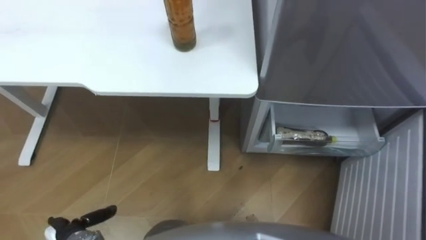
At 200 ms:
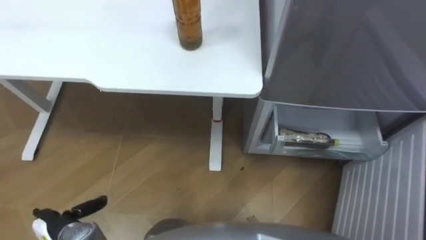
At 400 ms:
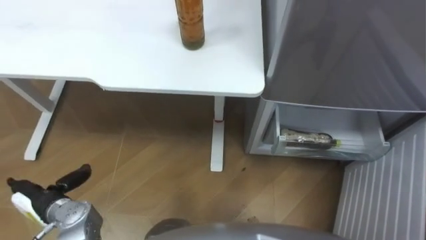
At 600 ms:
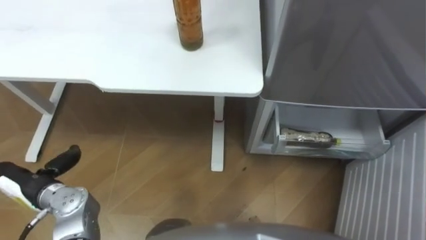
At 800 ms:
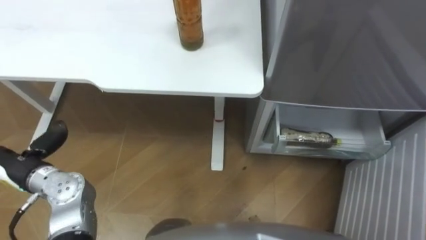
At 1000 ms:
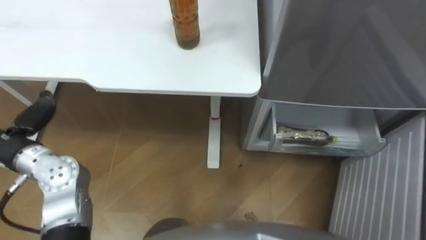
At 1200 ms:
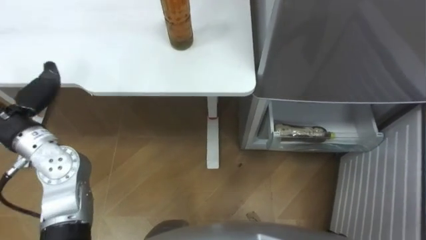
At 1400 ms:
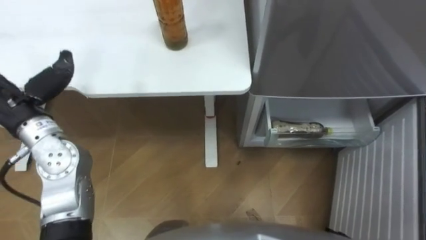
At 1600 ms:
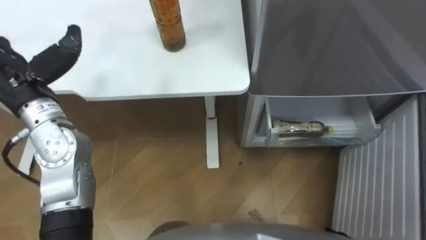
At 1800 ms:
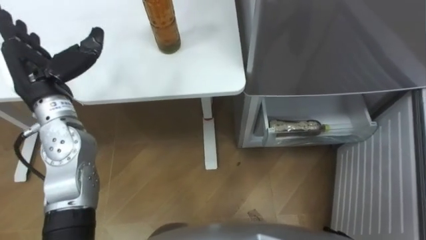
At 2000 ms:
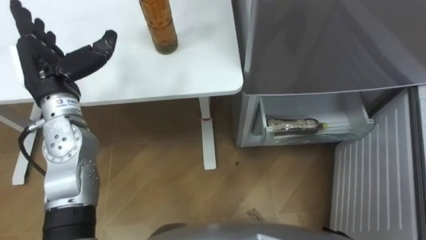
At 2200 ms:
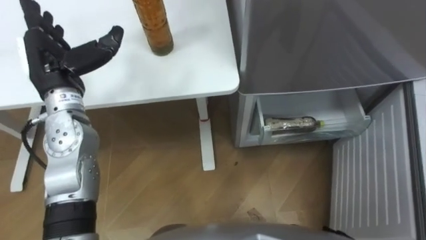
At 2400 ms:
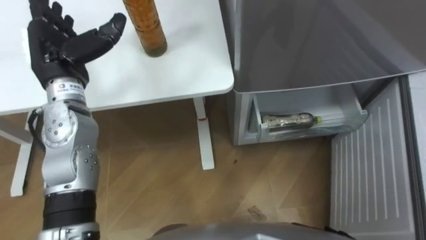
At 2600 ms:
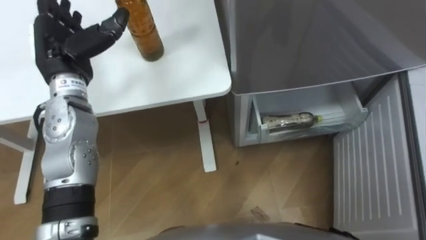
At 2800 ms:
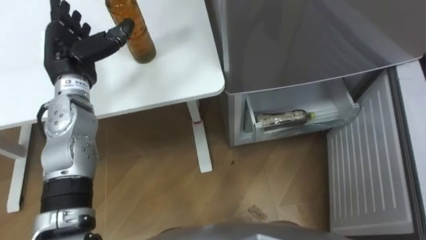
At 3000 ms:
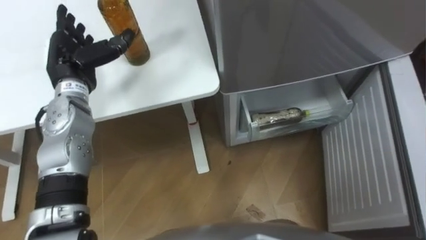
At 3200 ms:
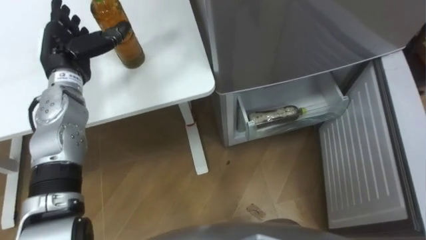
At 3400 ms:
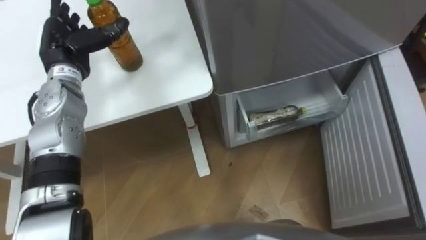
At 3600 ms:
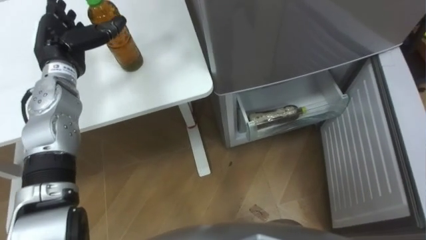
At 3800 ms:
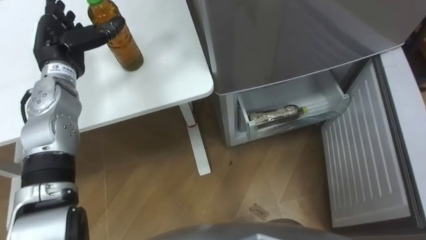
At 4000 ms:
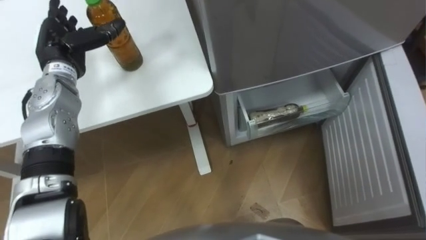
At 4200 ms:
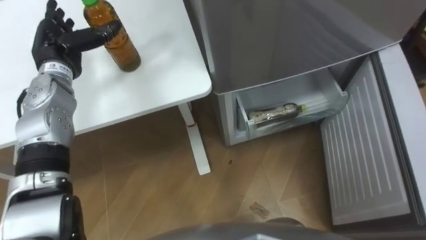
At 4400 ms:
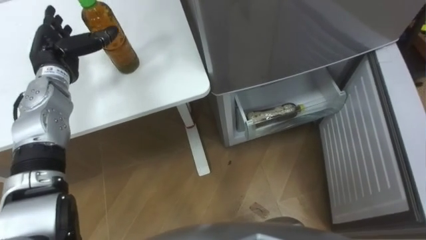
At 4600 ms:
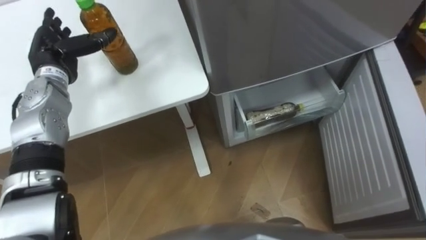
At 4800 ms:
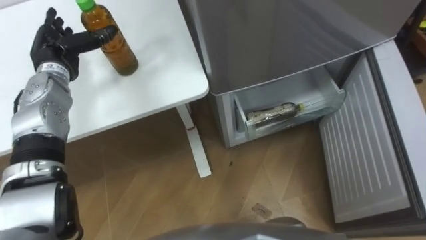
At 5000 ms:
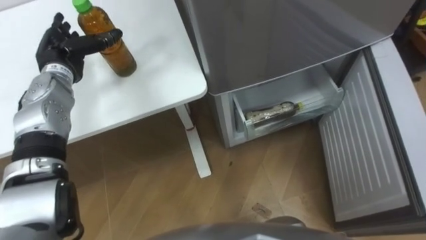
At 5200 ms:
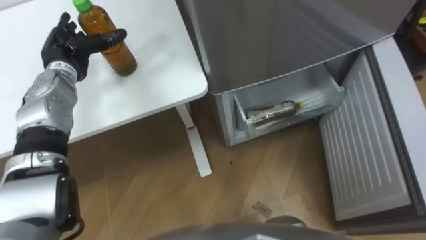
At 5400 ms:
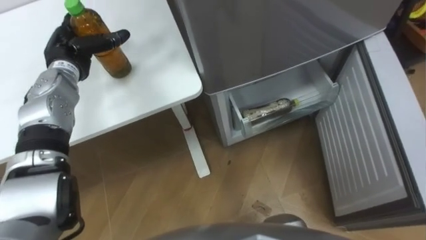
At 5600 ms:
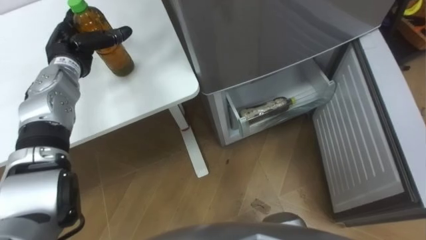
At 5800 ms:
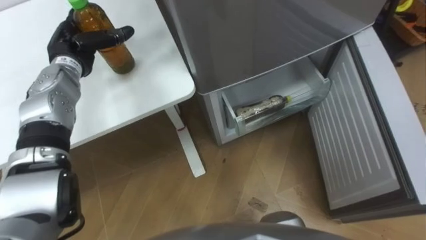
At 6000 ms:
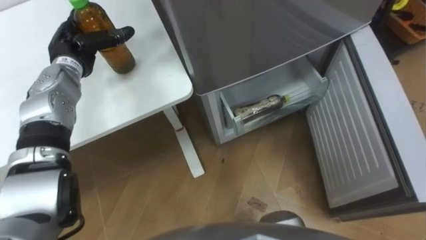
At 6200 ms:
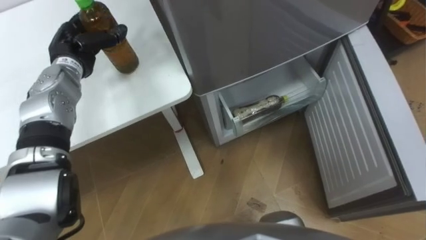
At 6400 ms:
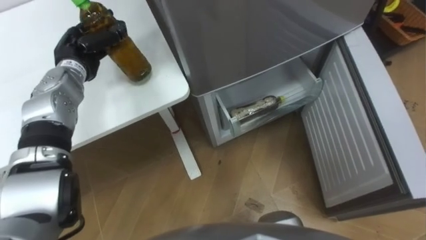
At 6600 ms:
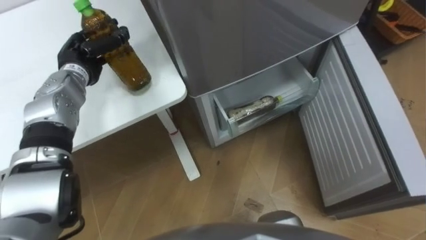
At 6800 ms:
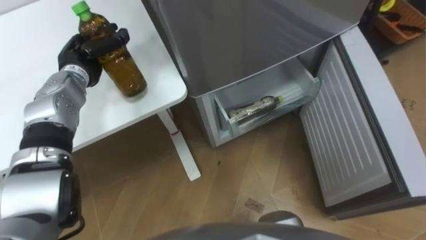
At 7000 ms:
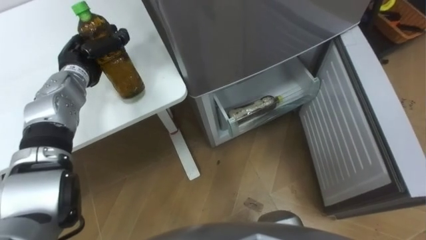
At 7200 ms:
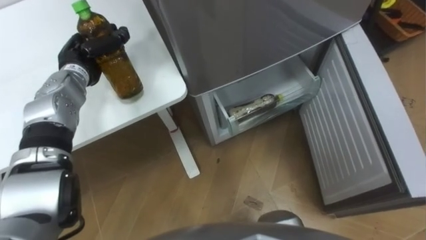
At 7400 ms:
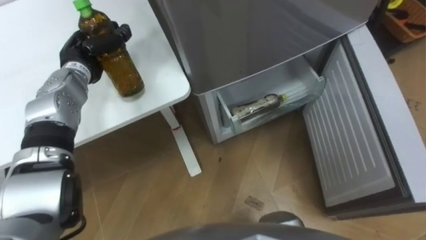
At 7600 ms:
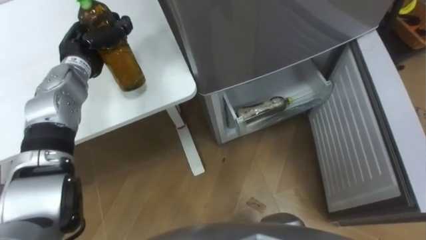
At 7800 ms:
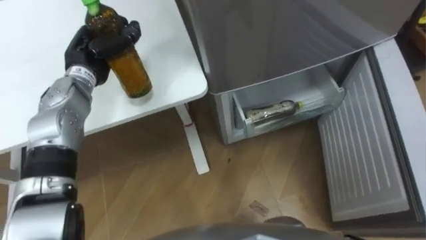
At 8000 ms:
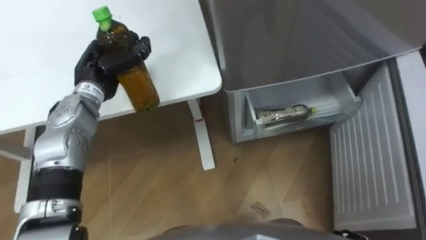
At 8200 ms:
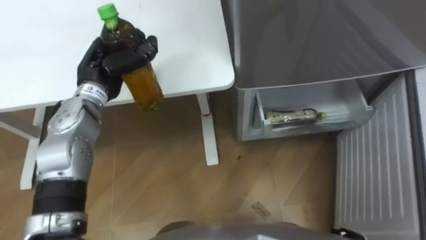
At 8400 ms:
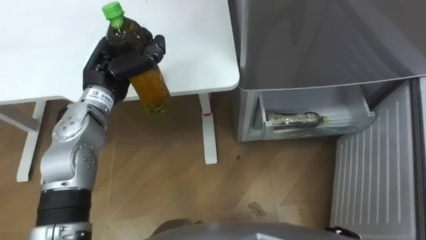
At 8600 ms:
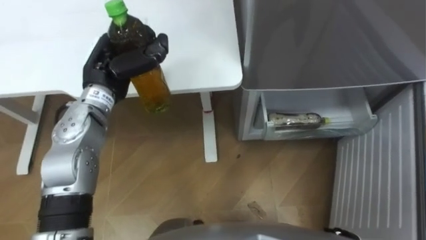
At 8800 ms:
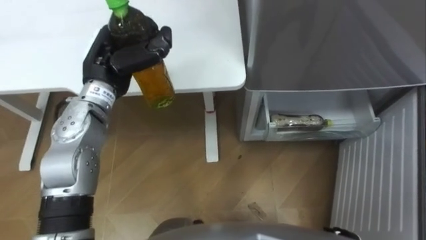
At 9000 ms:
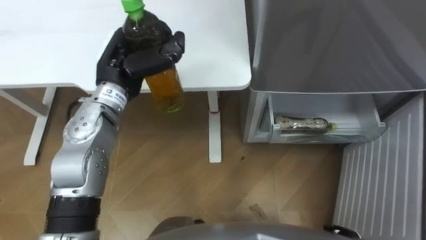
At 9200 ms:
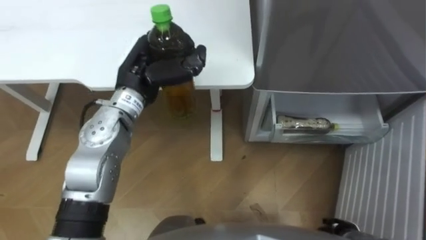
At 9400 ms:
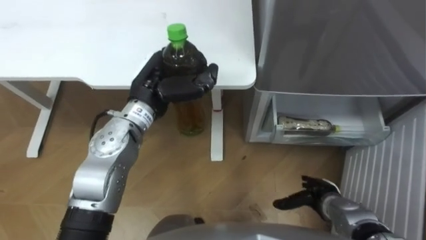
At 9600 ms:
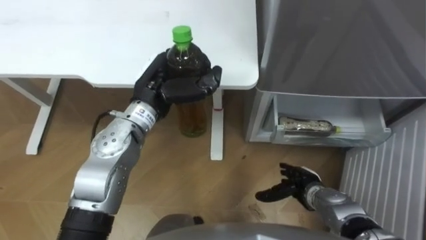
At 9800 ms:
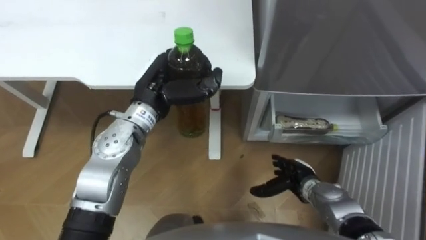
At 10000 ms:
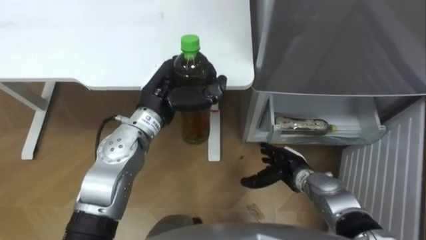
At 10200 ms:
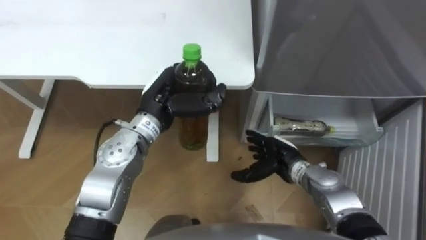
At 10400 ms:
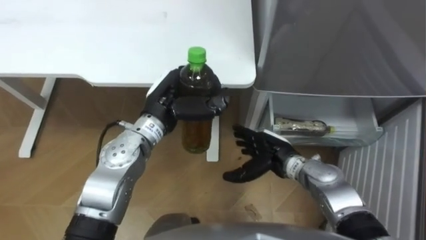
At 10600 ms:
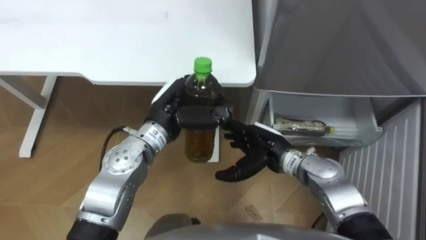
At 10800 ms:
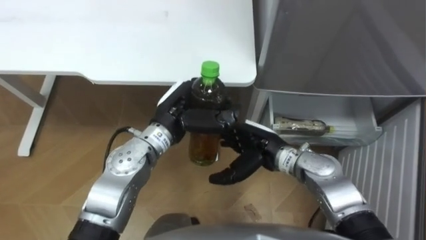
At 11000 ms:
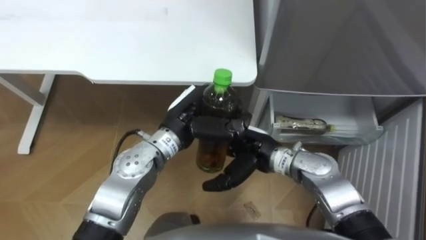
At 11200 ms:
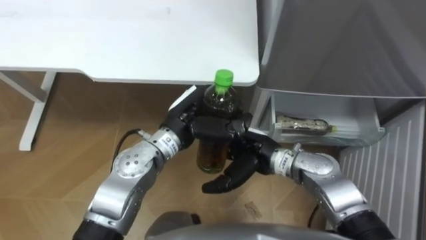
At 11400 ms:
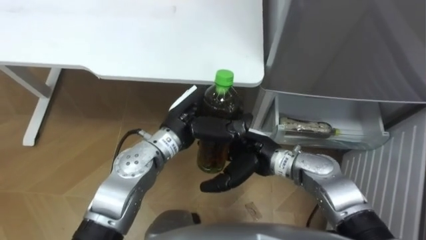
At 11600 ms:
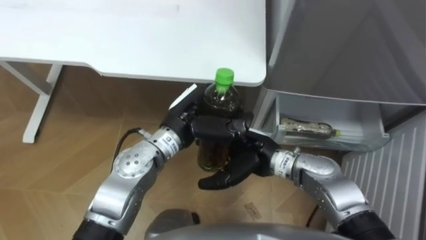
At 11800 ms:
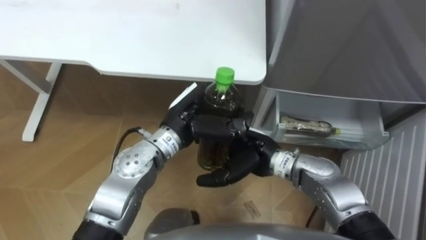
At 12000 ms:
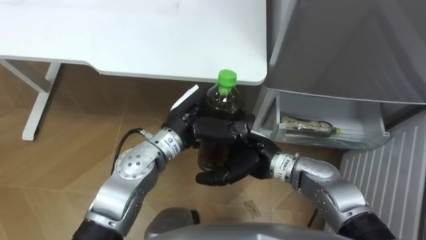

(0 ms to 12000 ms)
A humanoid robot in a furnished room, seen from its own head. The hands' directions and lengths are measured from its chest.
Task of the whole recording: Place the drink on the table on the bottom shelf of the refrigerator, then close the drawer and the refrigerator door.
1600 ms - 3000 ms: The left hand is displaced forward by some 5 cm.
6000 ms - 7600 ms: The left hand closes its fingers.
7600 ms - 9000 ms: The left hand shifts approximately 10 cm to the right and backward.
9000 ms - 10400 ms: The left hand heads to the right and downward, covering approximately 10 cm.
10400 ms - 12000 ms: The right hand heads to the left and upward, covering approximately 10 cm; the left hand ends up some 5 cm from where it was.

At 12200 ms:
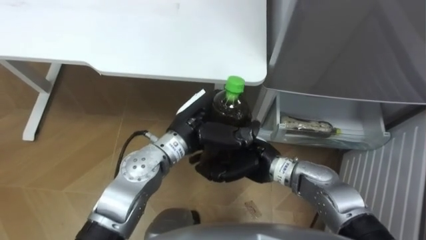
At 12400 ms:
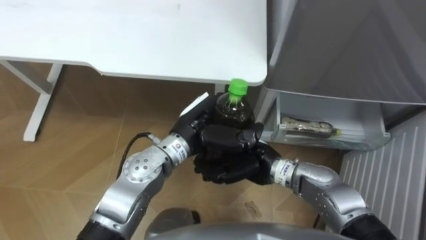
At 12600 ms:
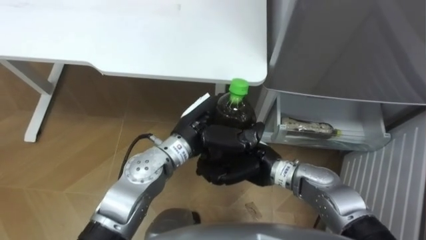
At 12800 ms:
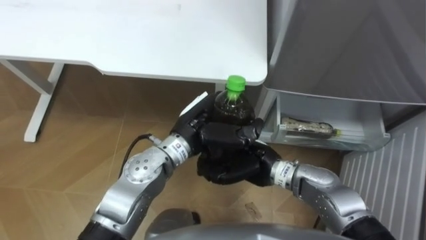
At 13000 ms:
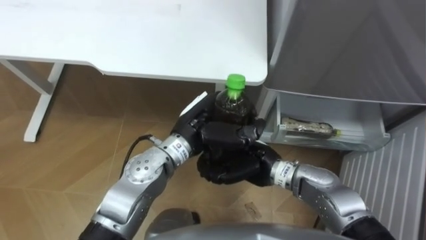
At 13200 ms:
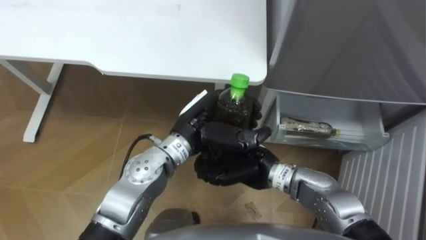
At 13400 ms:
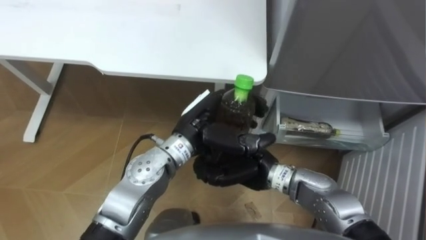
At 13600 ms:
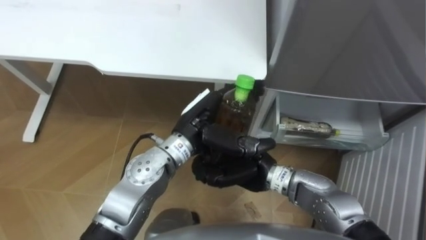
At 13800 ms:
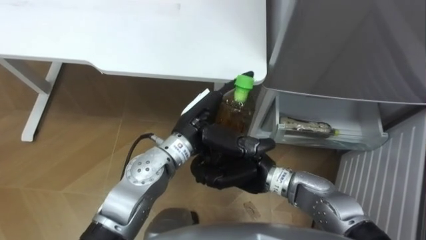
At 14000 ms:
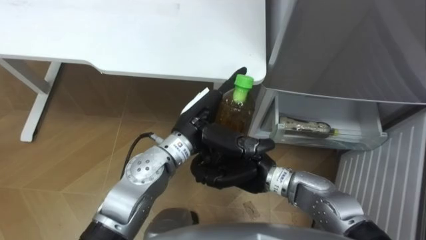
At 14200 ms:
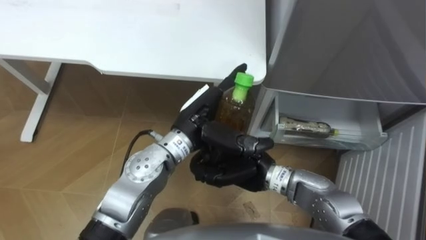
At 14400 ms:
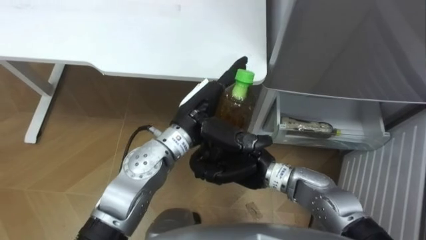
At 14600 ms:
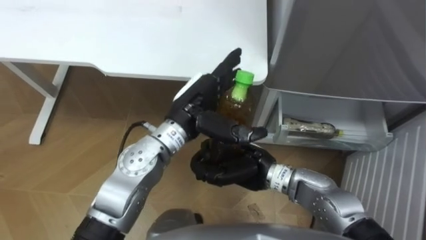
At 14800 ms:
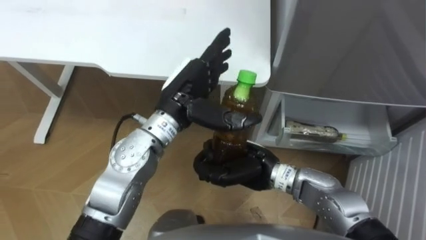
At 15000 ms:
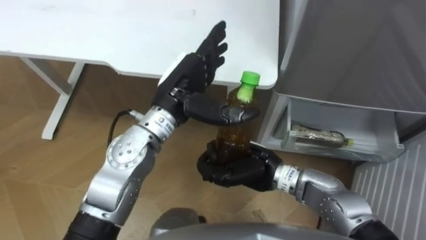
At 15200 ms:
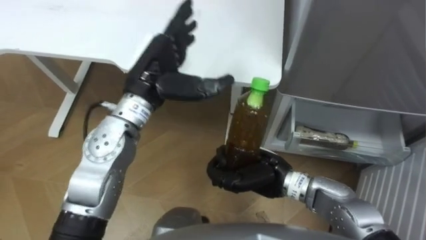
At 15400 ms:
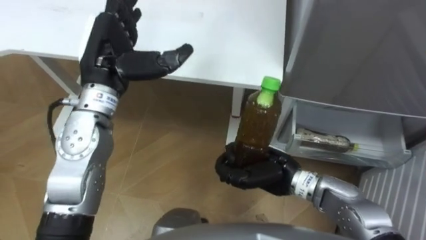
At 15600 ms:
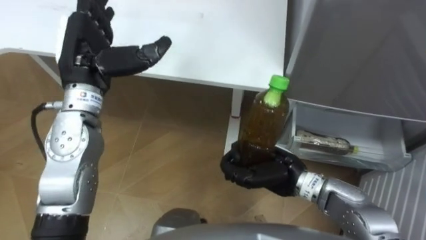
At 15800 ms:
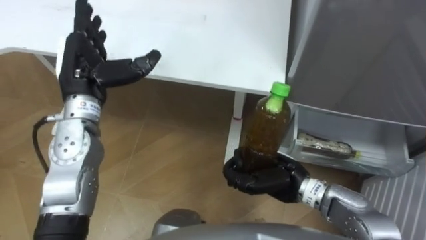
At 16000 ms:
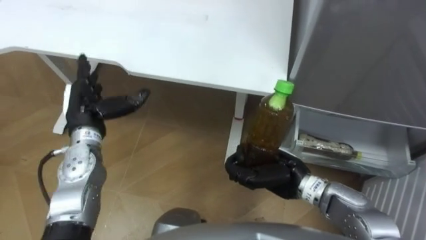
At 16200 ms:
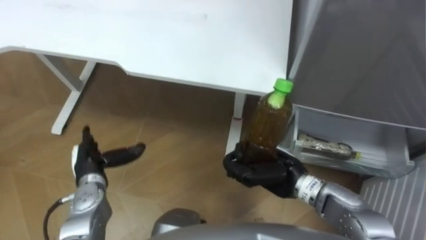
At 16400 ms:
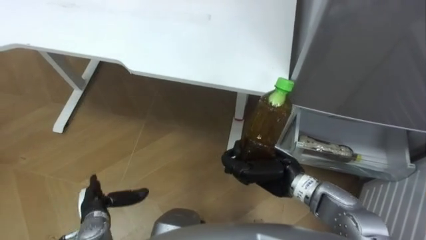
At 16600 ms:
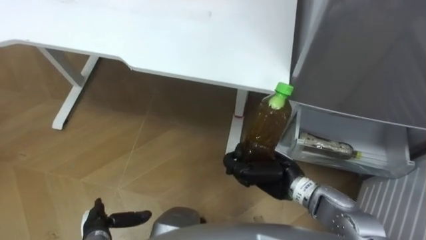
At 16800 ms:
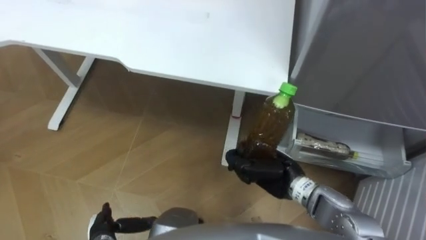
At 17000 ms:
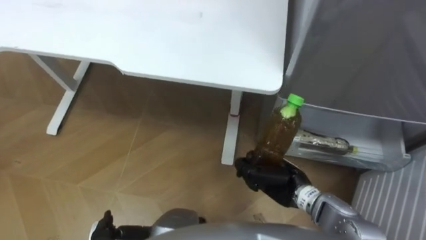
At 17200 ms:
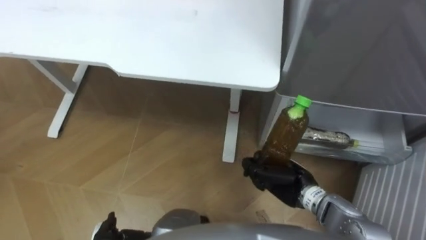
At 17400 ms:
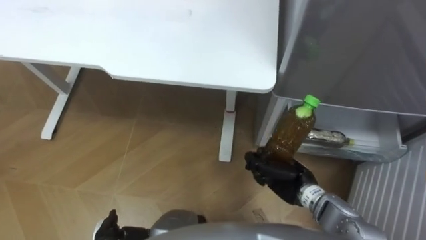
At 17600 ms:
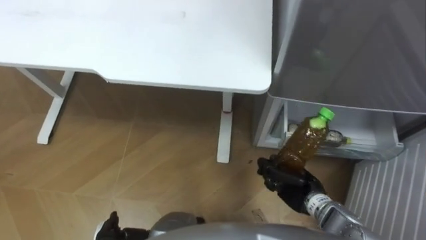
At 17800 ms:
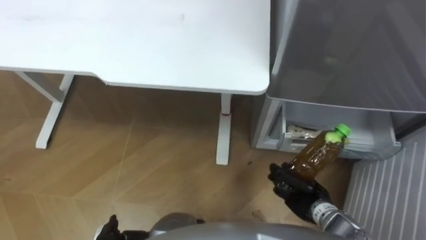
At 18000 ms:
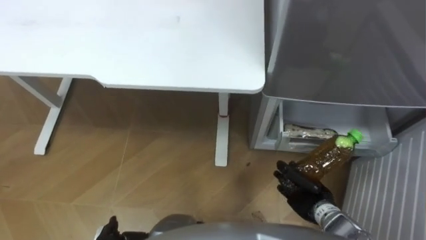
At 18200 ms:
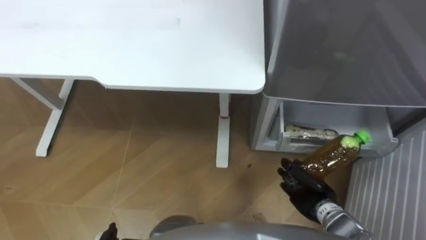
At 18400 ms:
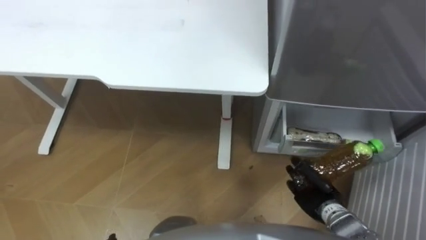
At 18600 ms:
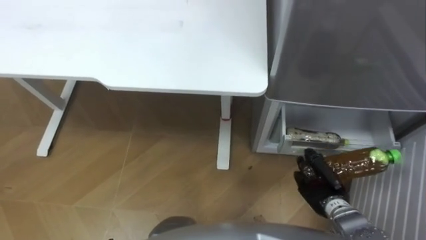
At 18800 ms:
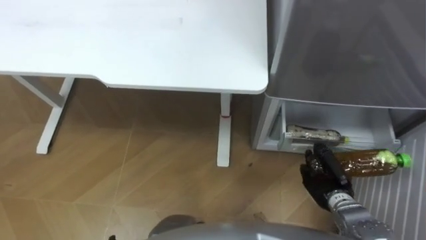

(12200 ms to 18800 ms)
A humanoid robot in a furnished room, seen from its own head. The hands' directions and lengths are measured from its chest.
Task of the whole recording: Place the drink on the table on the bottom shelf of the refrigerator, then close the drawer and the refrigerator door.
12200 ms - 13800 ms: The left hand opens its fingers. Meanwhile the right hand closes.
13800 ms - 15400 ms: The left hand shifts roughly 15 cm to the left and upward.
15400 ms - 17200 ms: The right hand shifts some 10 cm downward and to the right.
17200 ms - 18800 ms: The right hand goes roughly 10 cm to the right.
